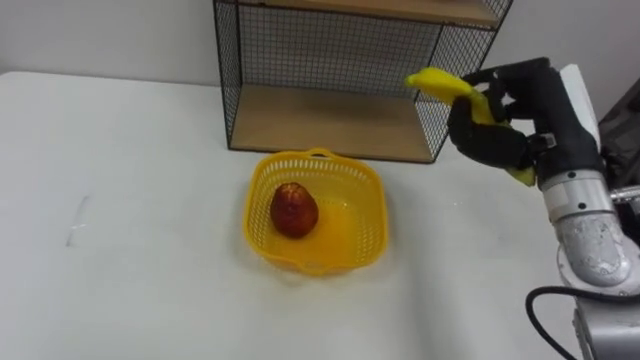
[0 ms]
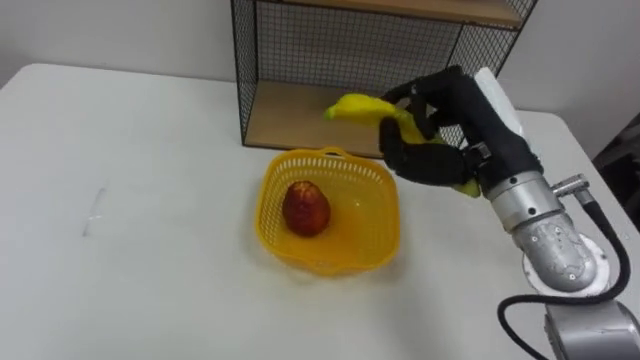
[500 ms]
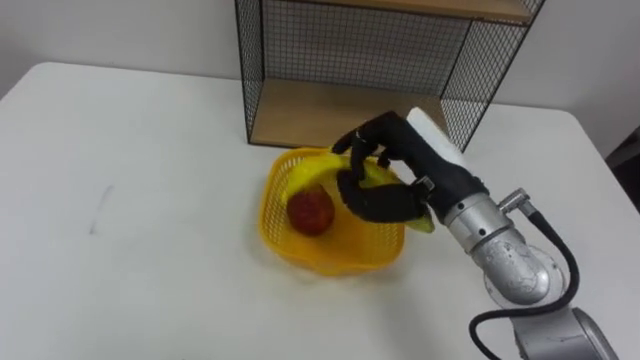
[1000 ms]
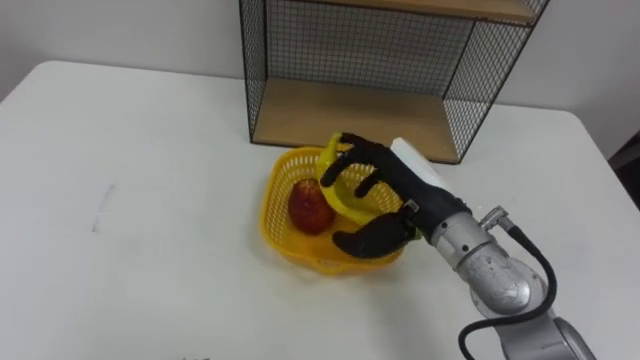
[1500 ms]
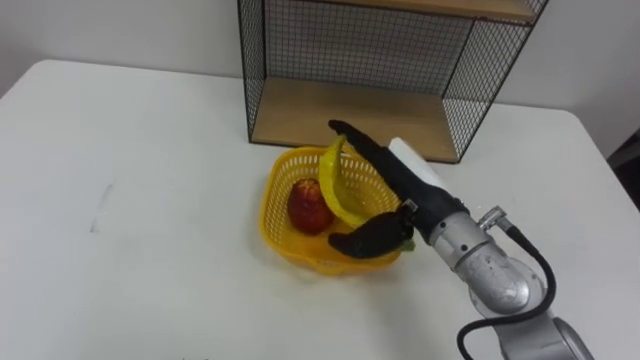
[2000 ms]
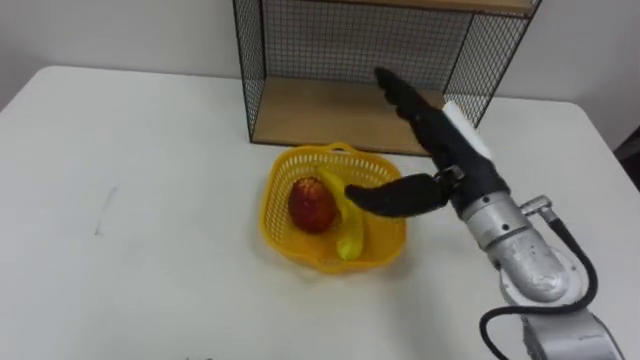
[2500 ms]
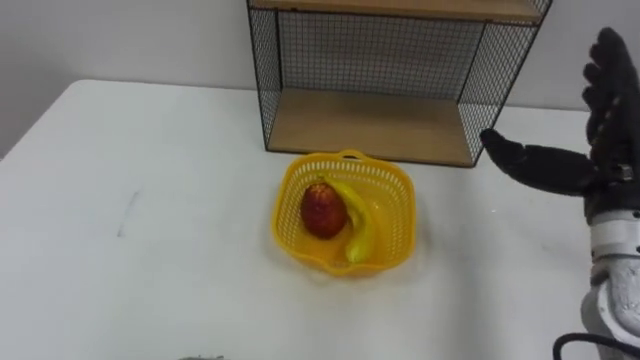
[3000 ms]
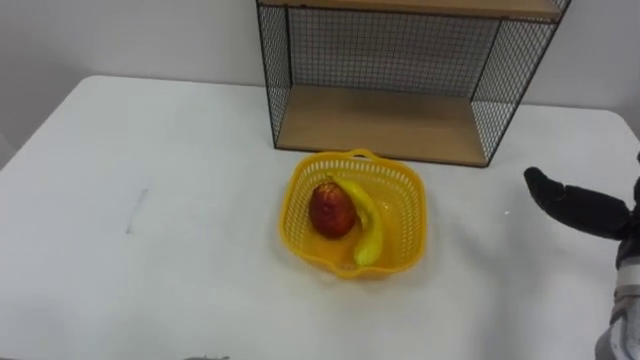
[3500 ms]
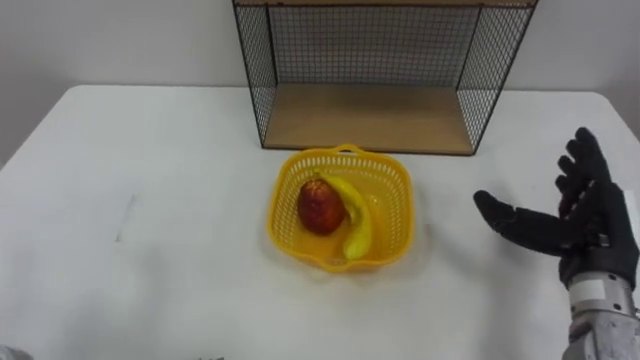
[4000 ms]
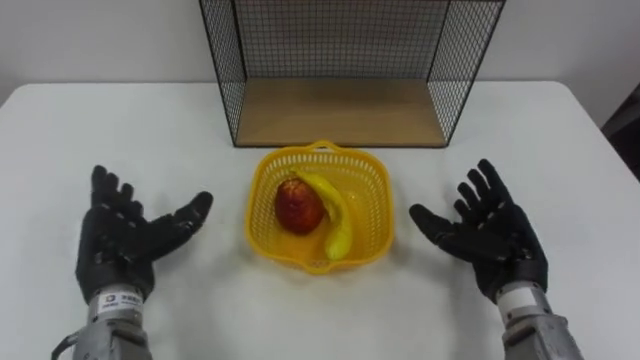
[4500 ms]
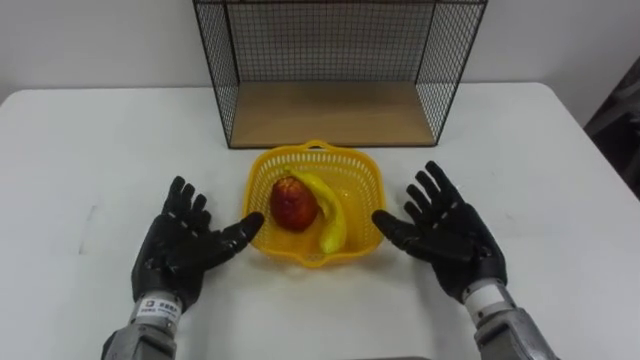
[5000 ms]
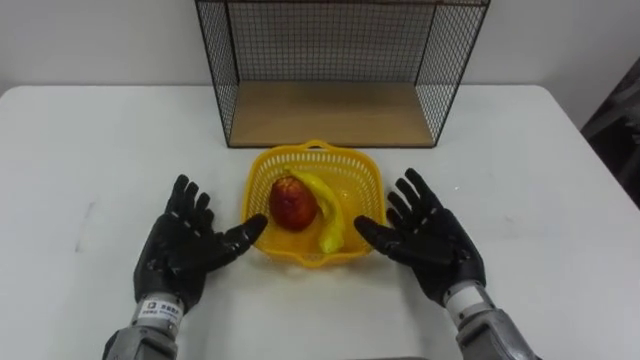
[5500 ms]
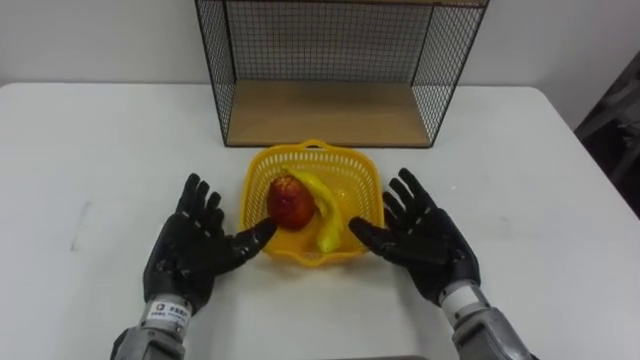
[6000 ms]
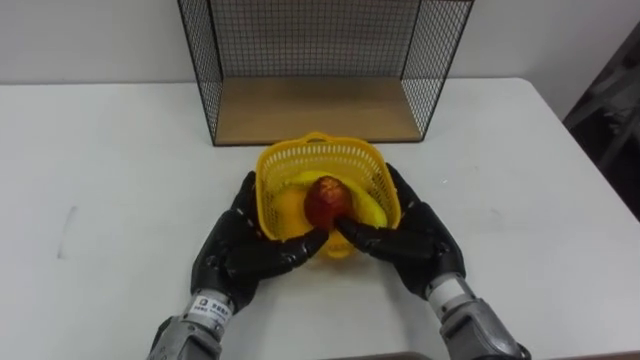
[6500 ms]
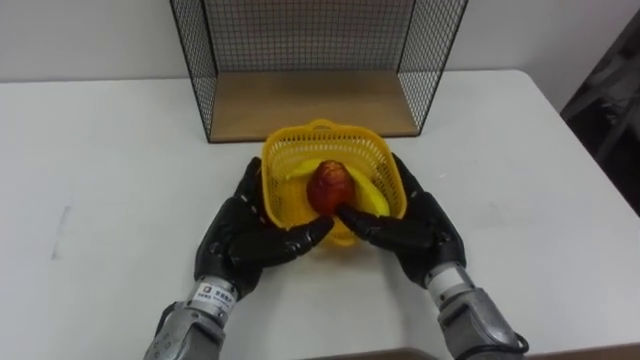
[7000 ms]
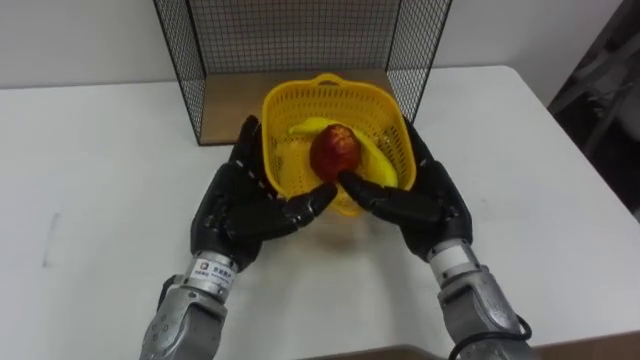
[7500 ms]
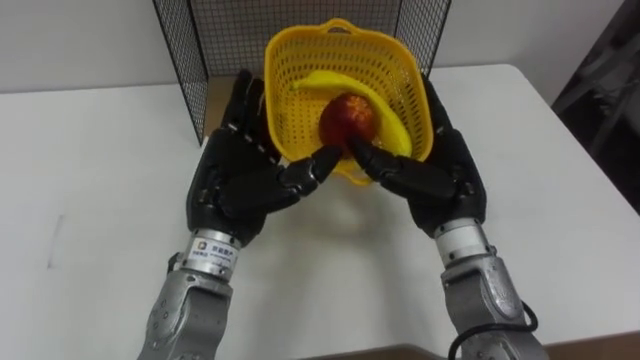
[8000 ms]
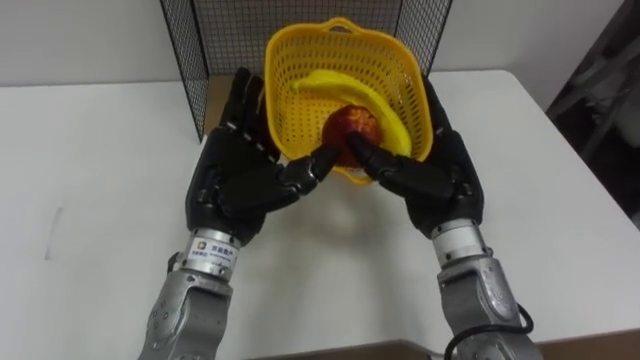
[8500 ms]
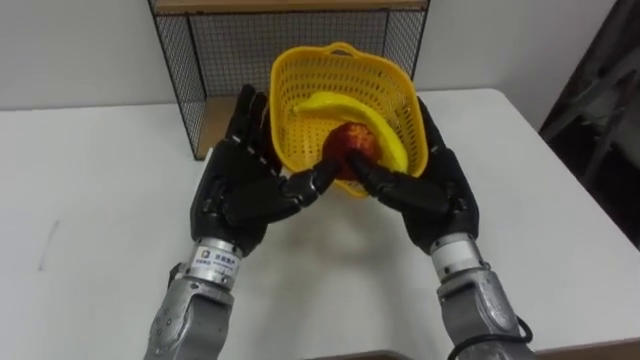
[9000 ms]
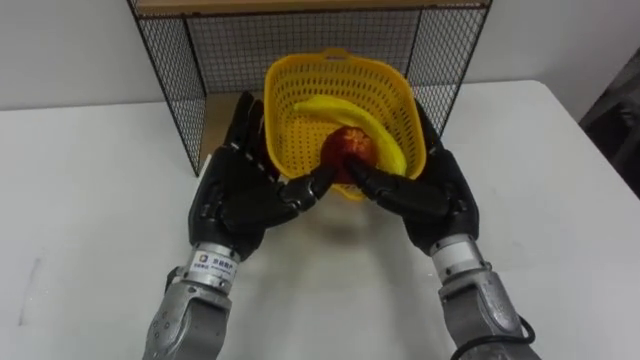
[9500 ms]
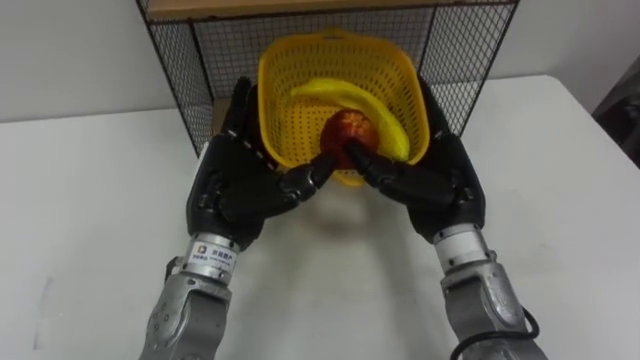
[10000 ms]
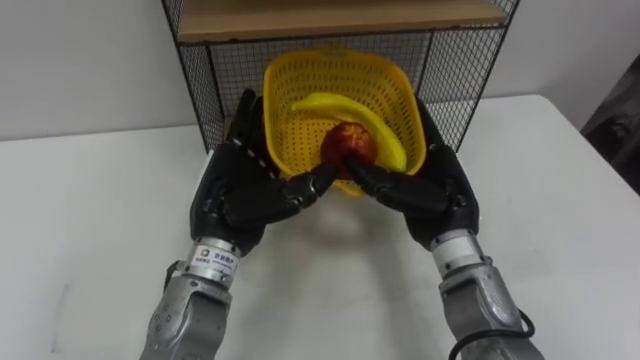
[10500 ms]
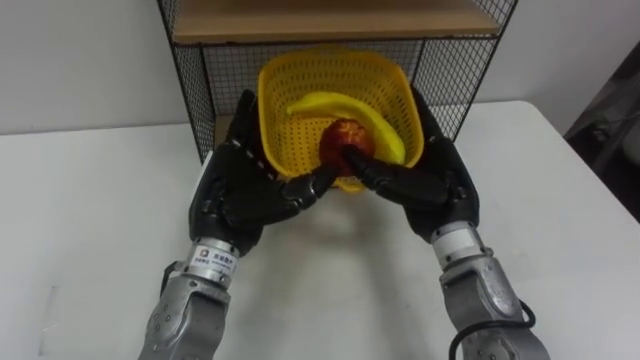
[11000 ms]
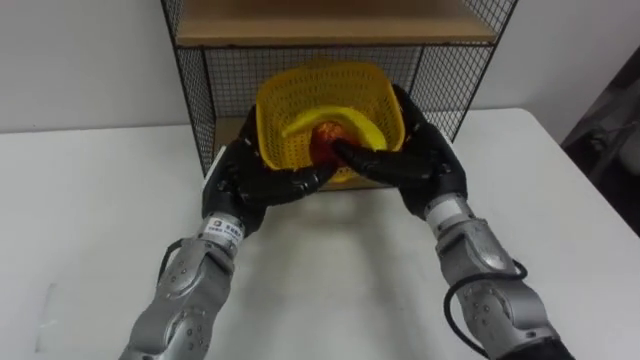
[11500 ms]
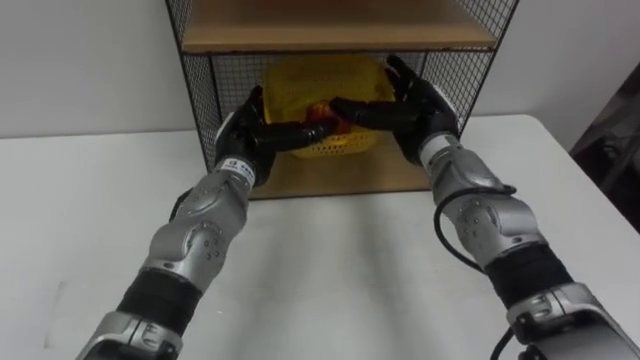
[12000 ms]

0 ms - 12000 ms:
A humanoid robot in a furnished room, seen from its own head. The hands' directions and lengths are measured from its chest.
Task of the whole recording: Put the fruit on the table into the basket, then place the basket on the shelf.
0 ms - 2000 ms: The right hand goes roughly 15 cm to the left and downward, and opens up.
4000 ms - 6000 ms: The right hand heads to the left and downward, covering some 15 cm.
6000 ms - 8000 ms: The left hand is displaced upward and to the right by some 15 cm. The right hand travels upward by roughly 10 cm.
10000 ms - 12000 ms: Both hands travel together forward, some 10 cm.

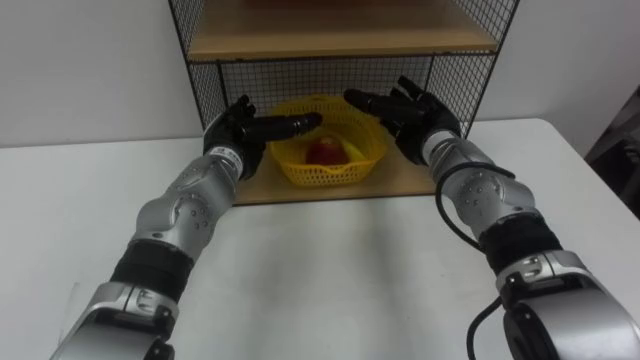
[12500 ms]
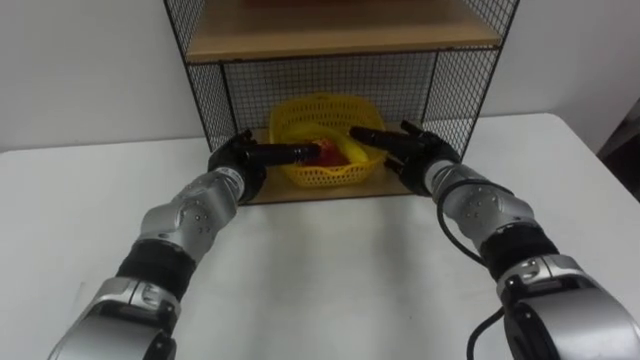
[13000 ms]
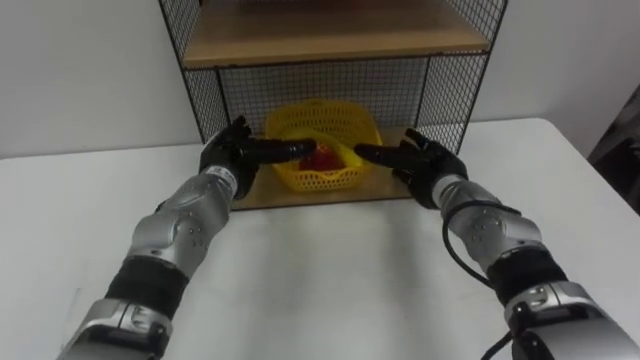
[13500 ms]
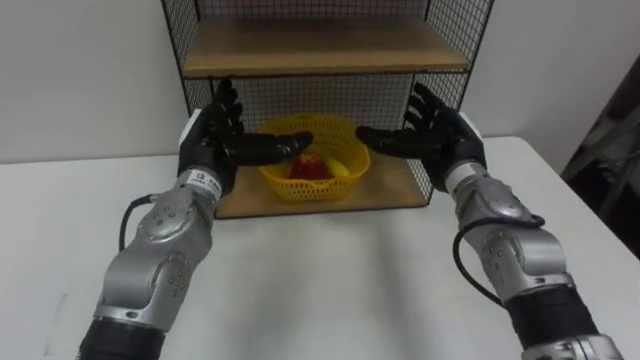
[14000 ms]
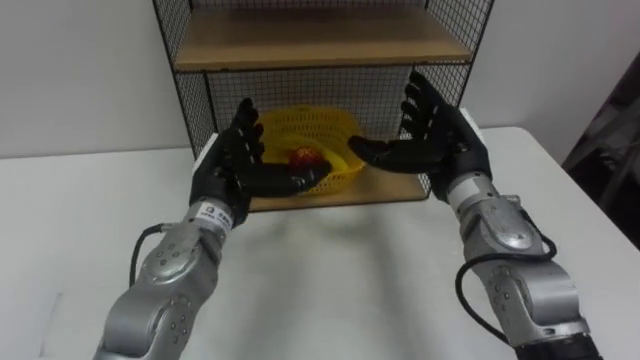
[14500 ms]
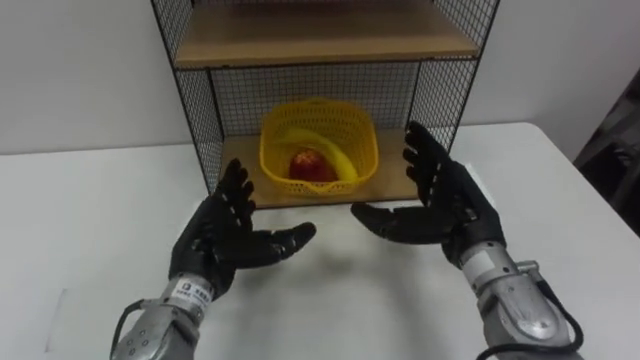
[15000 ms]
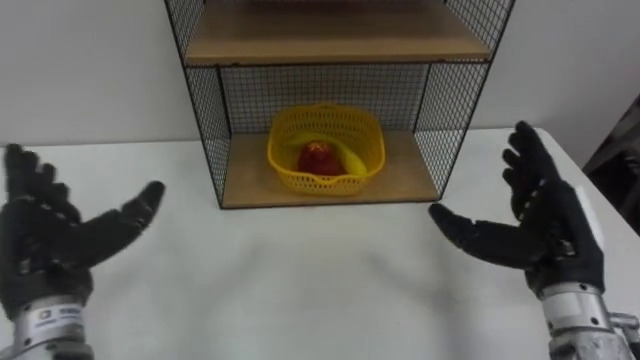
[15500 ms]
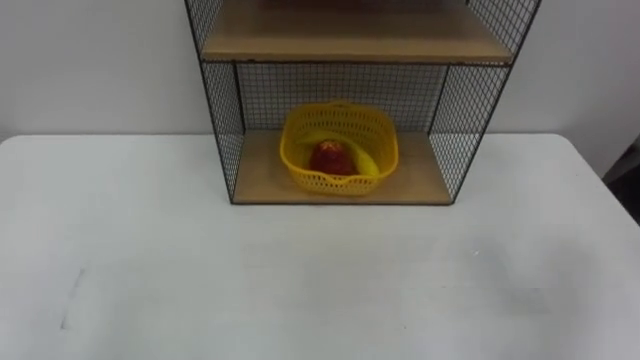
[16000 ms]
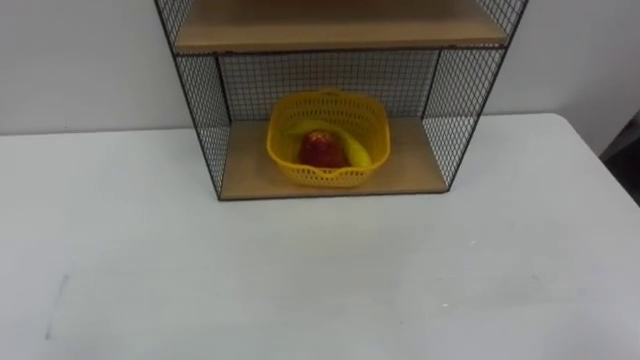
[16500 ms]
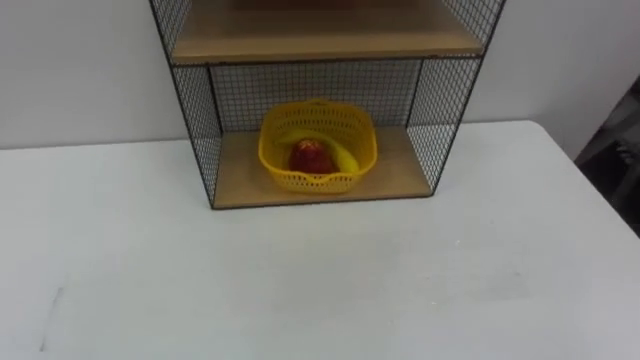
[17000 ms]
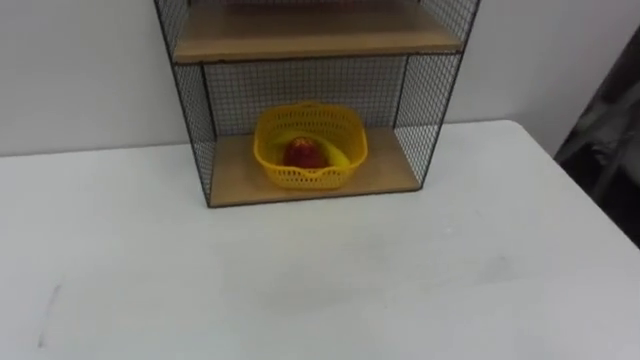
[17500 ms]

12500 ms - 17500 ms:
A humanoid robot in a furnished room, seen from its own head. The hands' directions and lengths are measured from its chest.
Task of the whole recording: Put the fruit on the table into the basket, then place the basket on the shelf.
12500 ms - 15000 ms: Both hands travel together backward, roughly 15 cm.

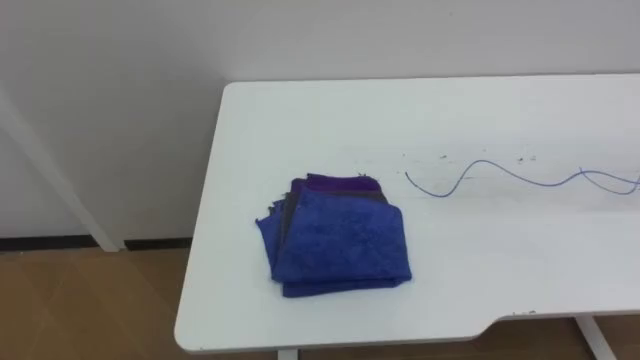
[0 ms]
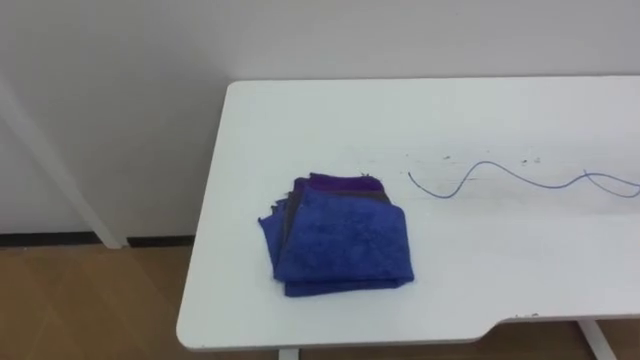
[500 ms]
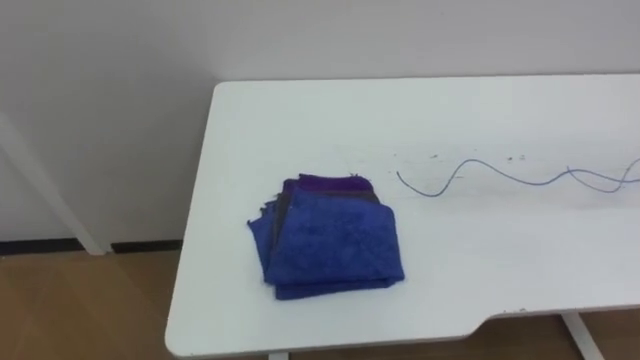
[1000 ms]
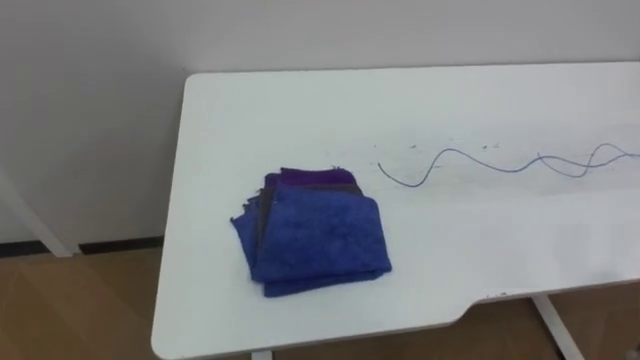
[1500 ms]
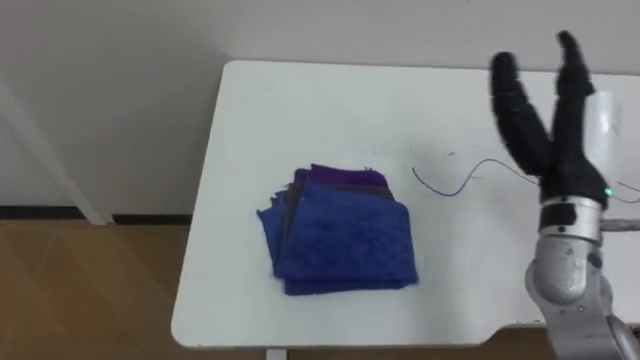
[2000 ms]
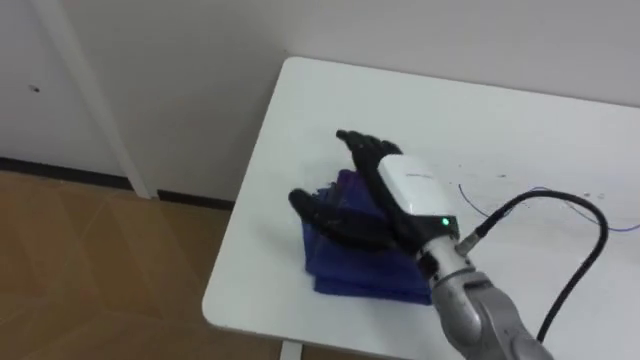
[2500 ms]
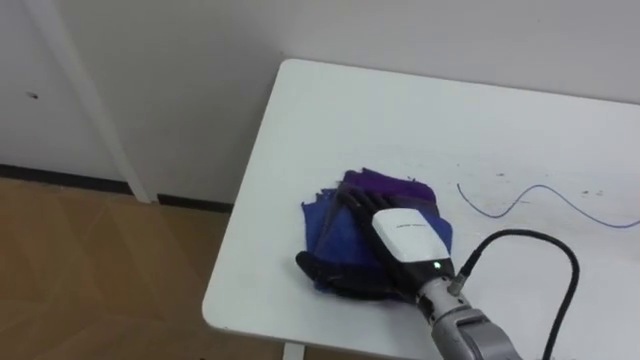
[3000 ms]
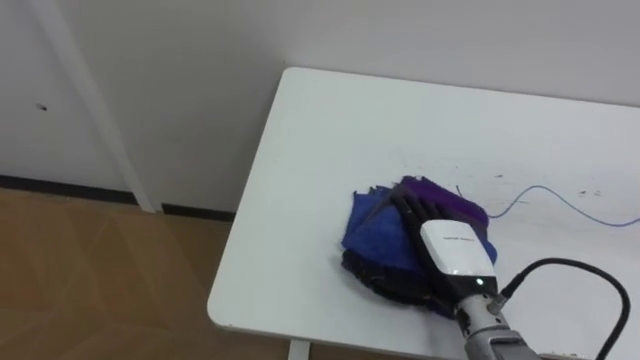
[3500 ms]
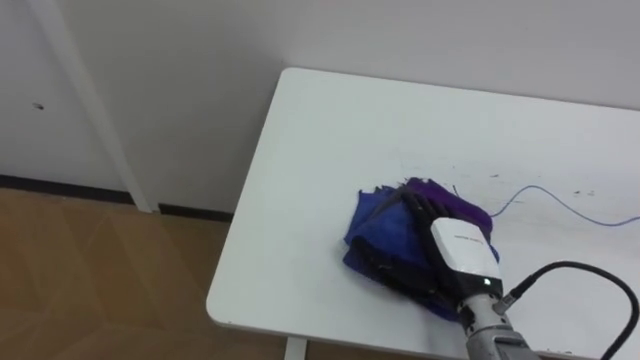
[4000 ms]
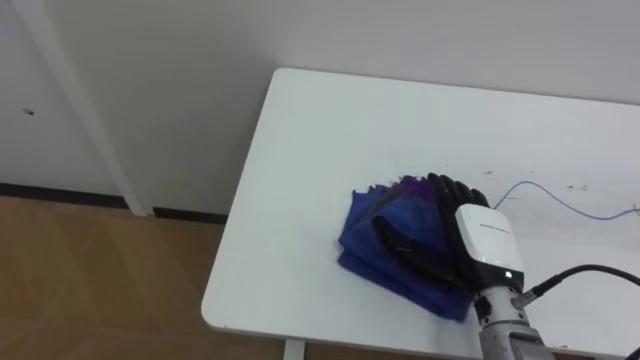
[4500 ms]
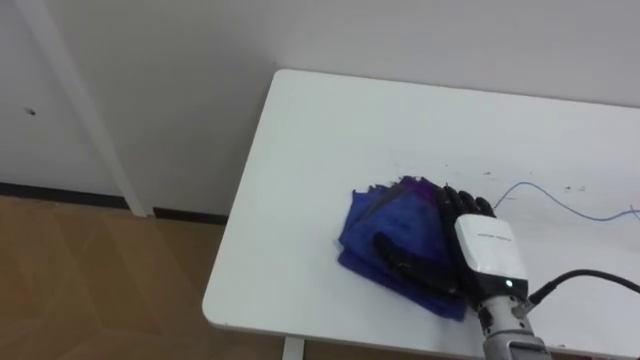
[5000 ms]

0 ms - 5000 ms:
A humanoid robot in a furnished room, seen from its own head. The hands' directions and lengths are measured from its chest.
Task of the whole recording: Wipe the blue pen marks off the table with the rag.
2500 ms - 5000 ms: The right hand travels to the right and downward by about 15 cm.
